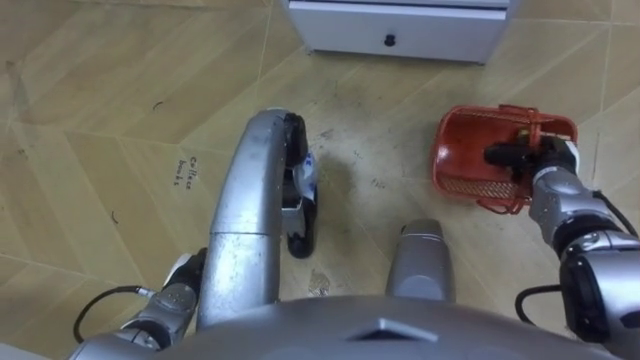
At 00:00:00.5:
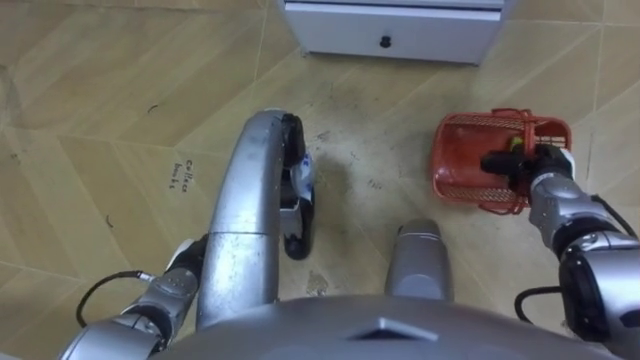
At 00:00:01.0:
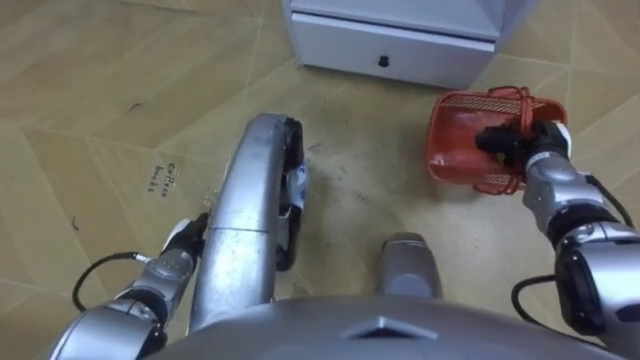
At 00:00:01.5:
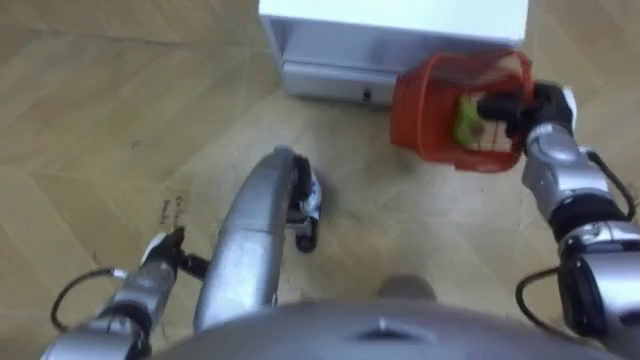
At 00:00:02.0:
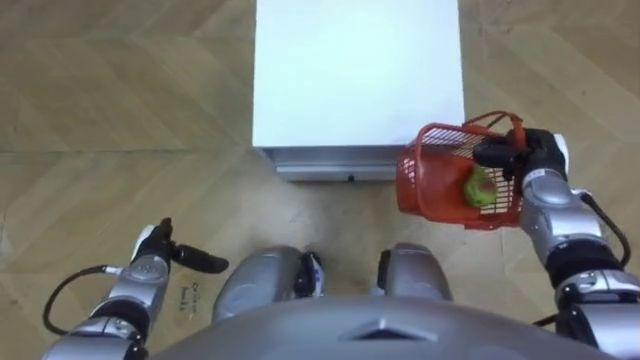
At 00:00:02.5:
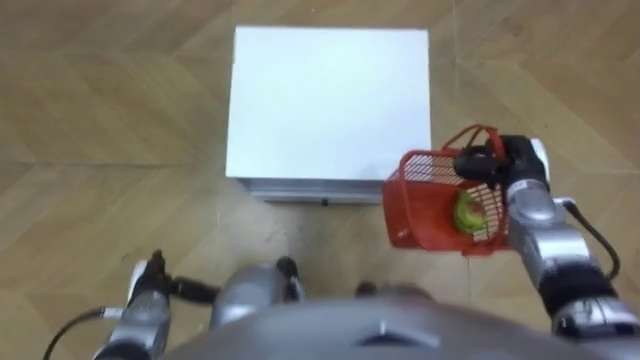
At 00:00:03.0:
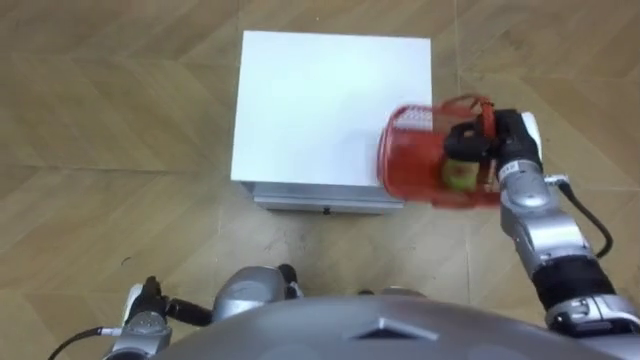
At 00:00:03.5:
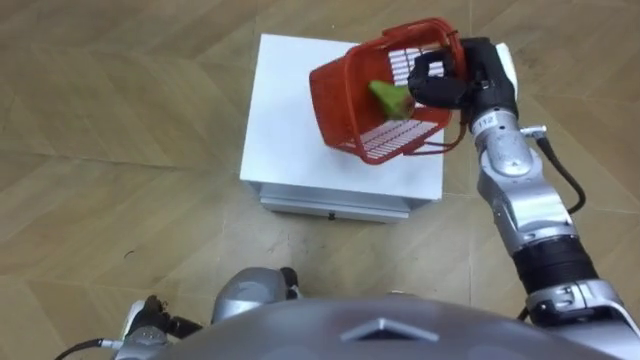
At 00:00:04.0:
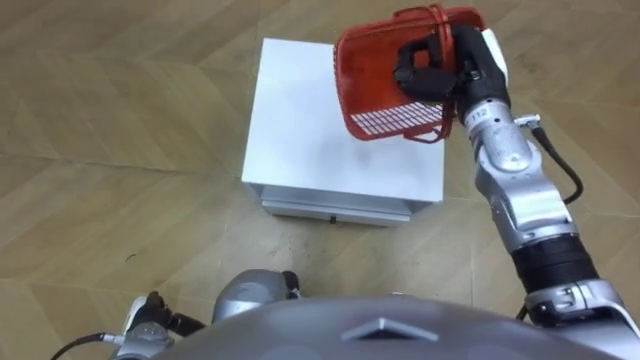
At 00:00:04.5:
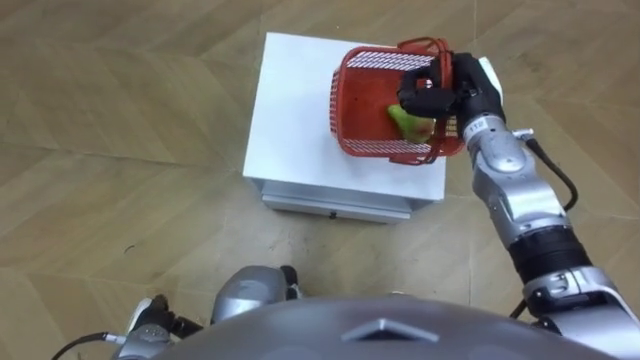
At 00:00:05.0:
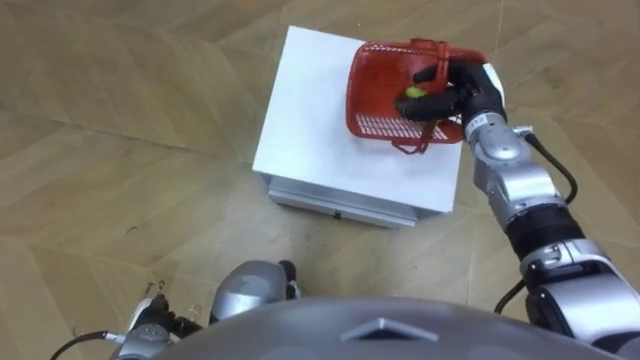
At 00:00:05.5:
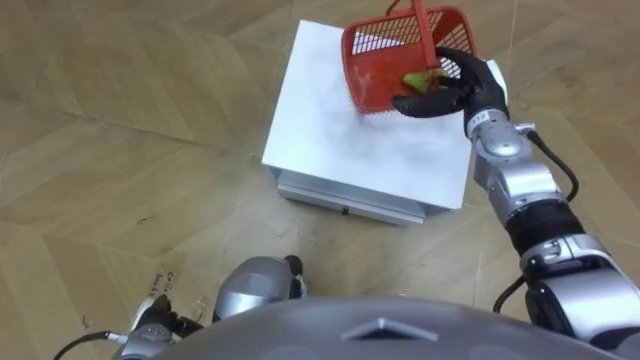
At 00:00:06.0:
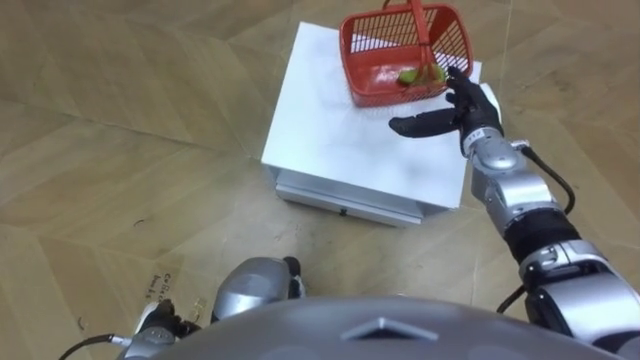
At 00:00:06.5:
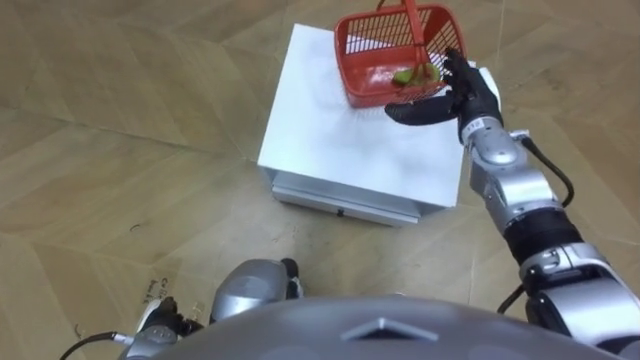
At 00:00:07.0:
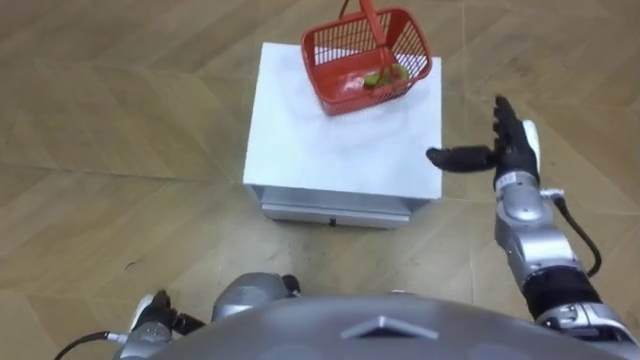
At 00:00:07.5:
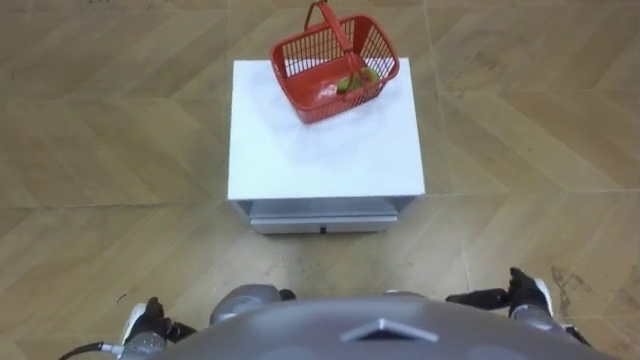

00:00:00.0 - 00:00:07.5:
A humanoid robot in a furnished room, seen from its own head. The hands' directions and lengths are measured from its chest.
Task of the whole recording: Pick up the fruit basket from the floor and place it on the cabinet.
00:00:00.0 - 00:00:02.0: The left hand changes place by some 5 cm.
00:00:02.0 - 00:00:04.0: The left hand travels backward by about 10 cm. The right hand heads to the left, upward and forward, covering some 20 cm.
00:00:04.0 - 00:00:05.5: The right hand shifts some 5 cm downward, and opens its fingers.
00:00:05.5 - 00:00:07.5: The right hand moves backward and downward, approximately 30 cm.

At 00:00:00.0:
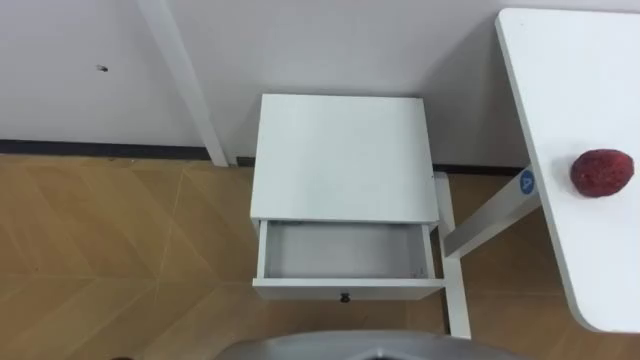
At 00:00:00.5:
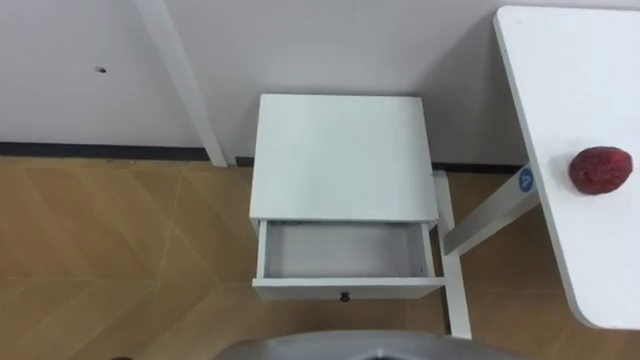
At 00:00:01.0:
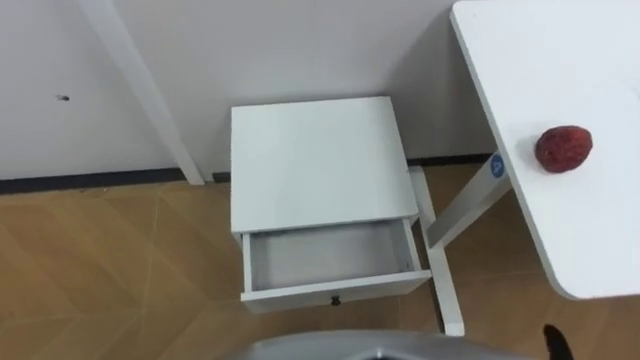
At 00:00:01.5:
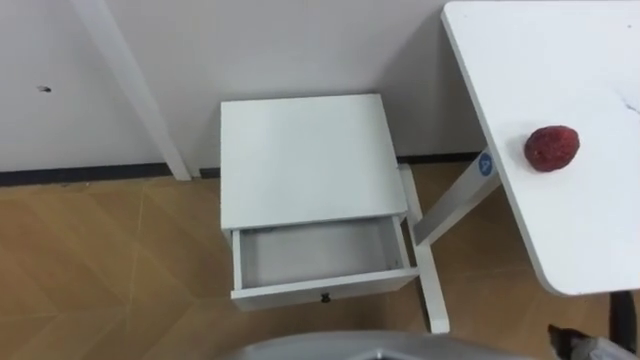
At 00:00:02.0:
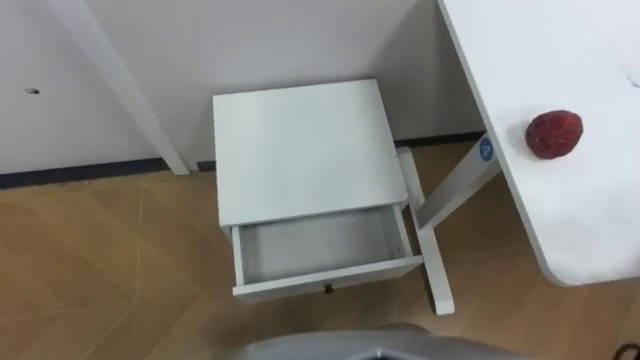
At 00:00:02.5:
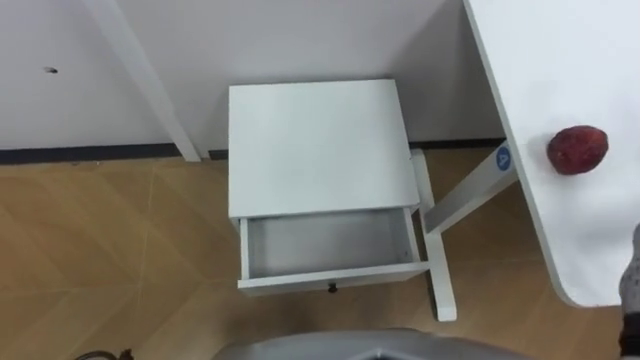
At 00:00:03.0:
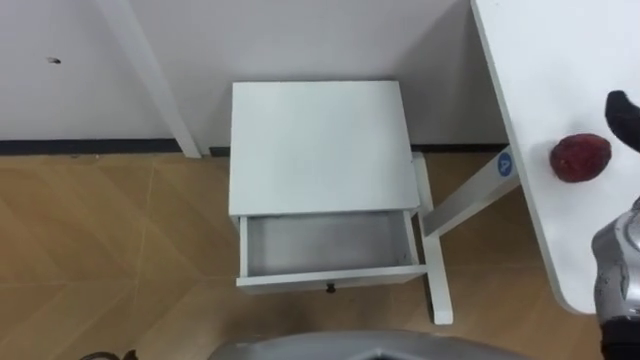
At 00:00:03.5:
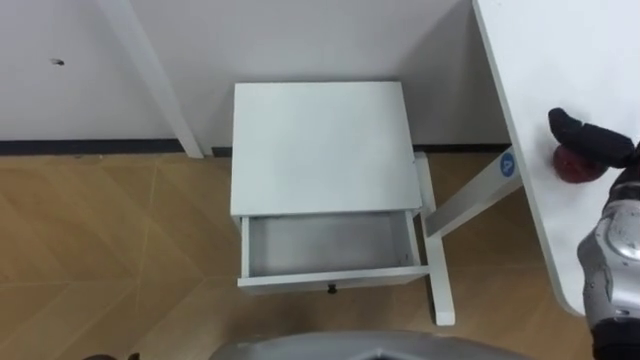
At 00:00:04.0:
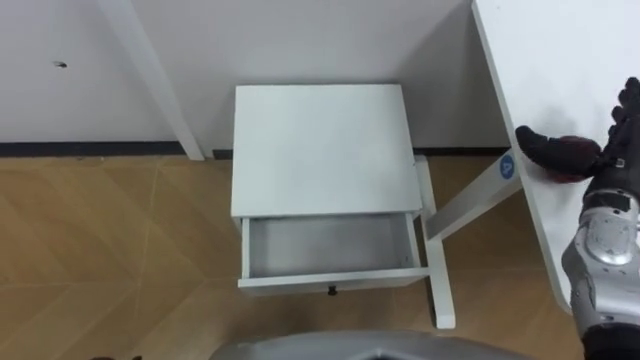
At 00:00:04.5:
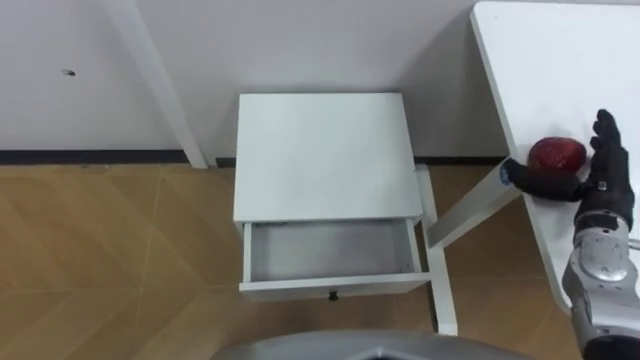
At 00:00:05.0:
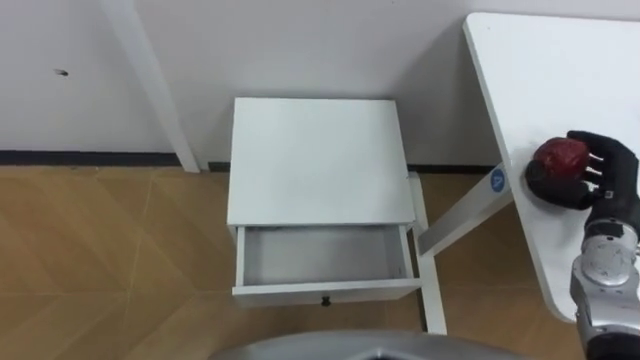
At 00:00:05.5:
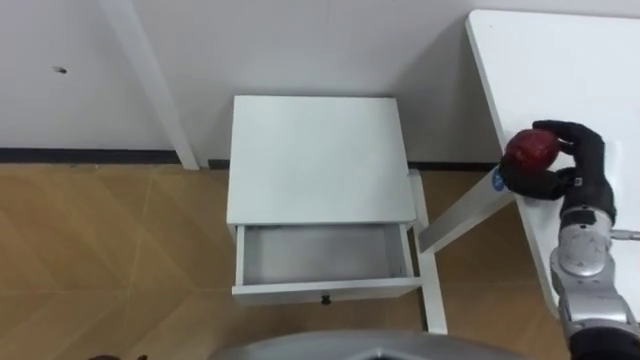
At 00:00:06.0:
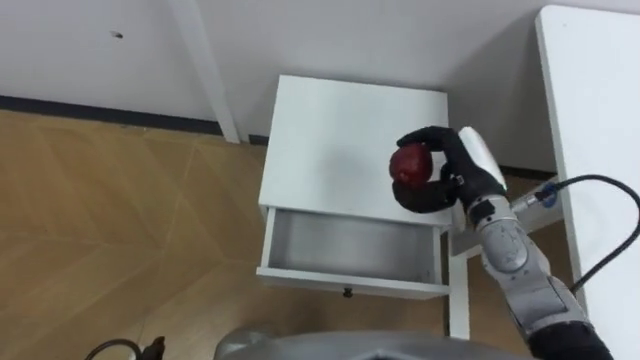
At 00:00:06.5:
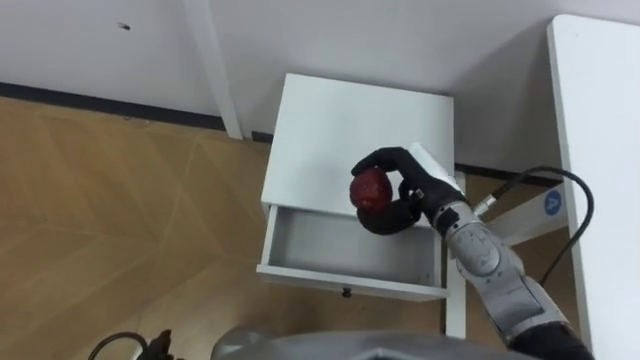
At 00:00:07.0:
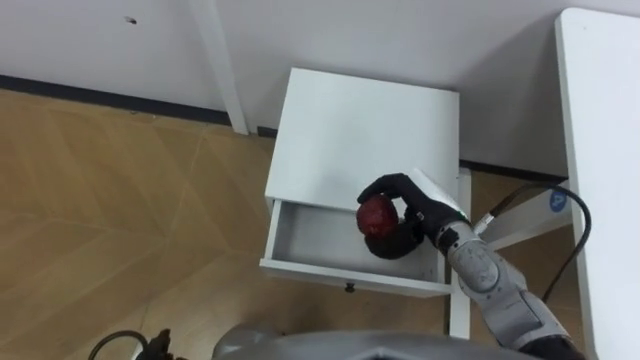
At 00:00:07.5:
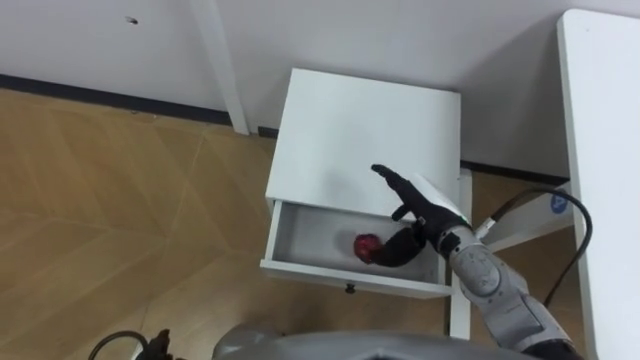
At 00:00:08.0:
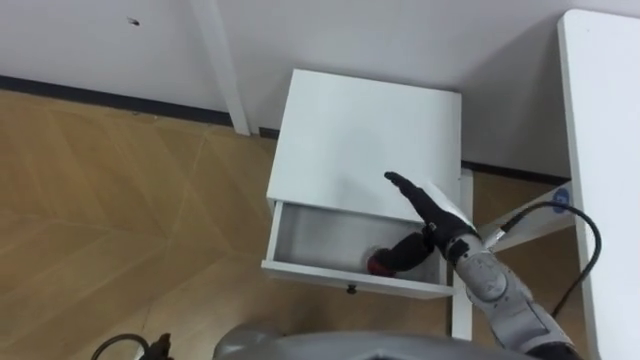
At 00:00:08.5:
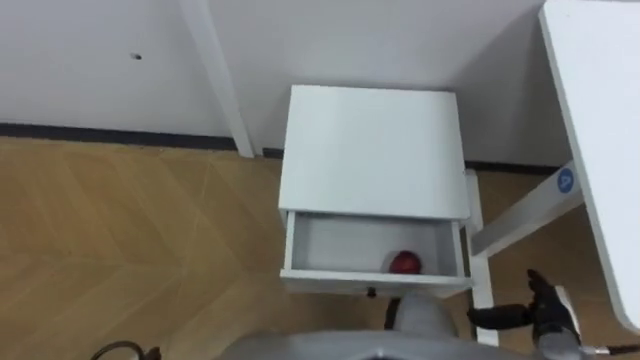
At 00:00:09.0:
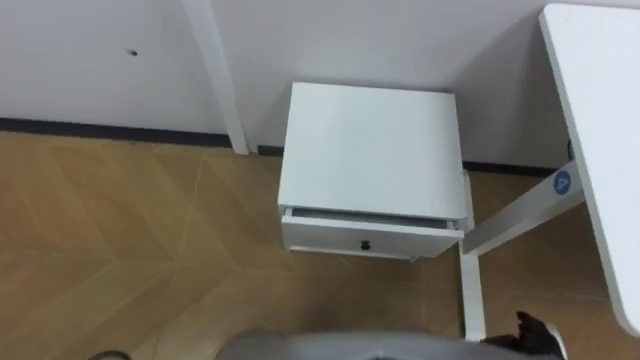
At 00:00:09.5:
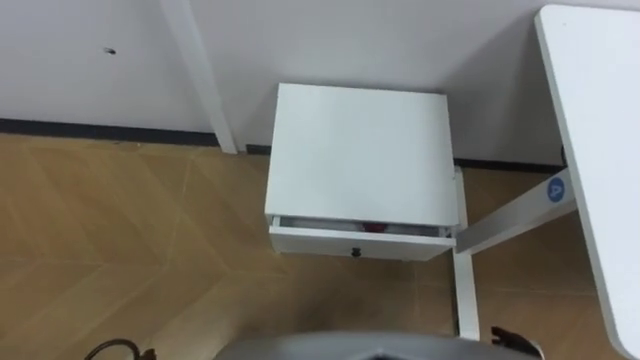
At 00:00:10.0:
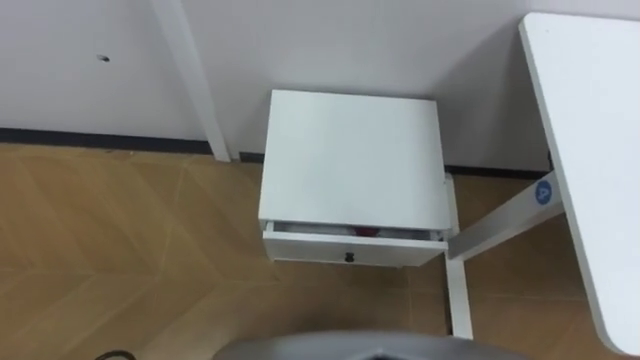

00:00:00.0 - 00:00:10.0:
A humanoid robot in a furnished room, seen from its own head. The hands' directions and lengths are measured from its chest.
Task of the whole recording: Pick up the apple from the table, put it in the drawer, and close the drawer with leg.
00:00:04.0 - 00:00:06.0: The right hand moves to the left, some 15 cm, and closes its fingers.
00:00:06.0 - 00:00:08.0: The right hand goes approximately 5 cm downward, and opens up.

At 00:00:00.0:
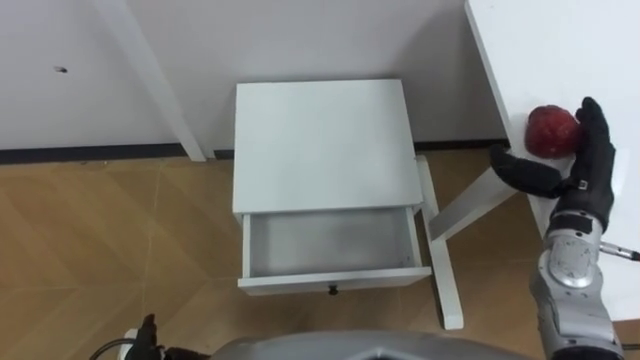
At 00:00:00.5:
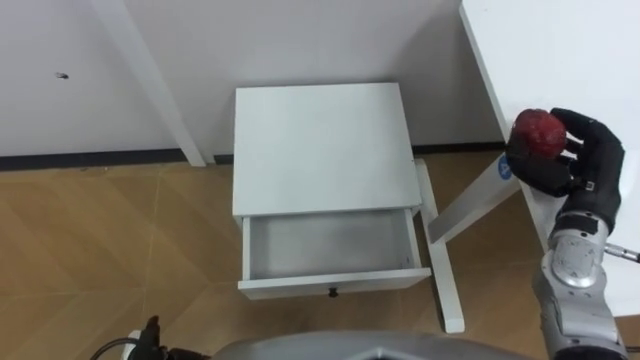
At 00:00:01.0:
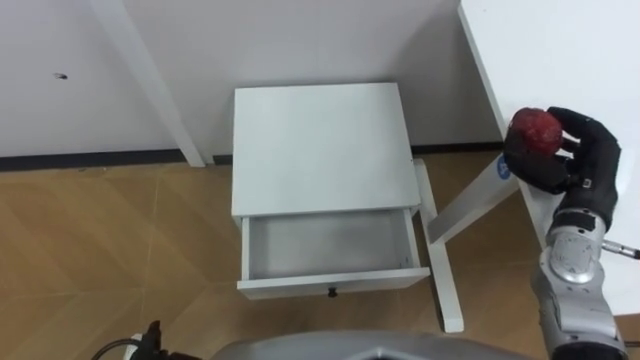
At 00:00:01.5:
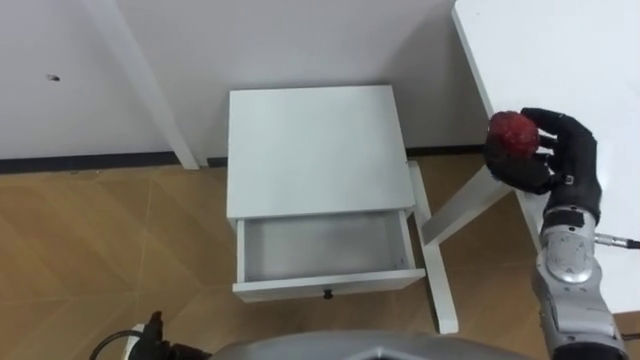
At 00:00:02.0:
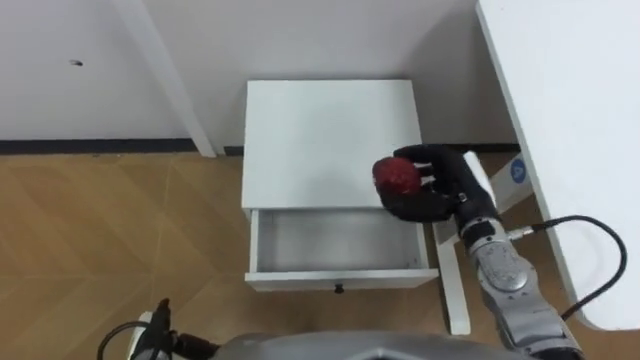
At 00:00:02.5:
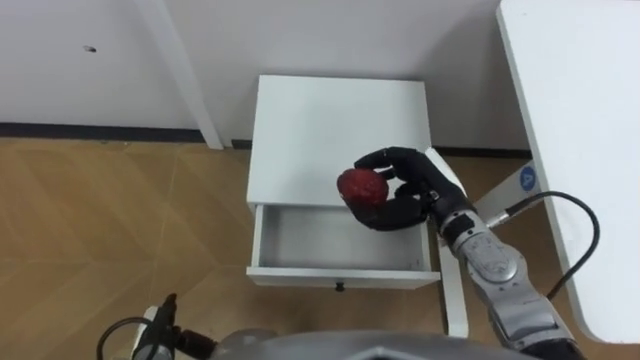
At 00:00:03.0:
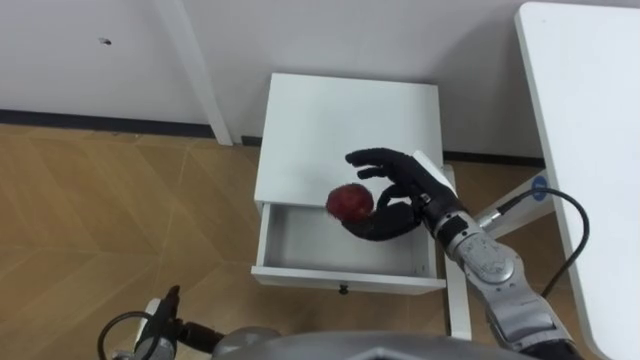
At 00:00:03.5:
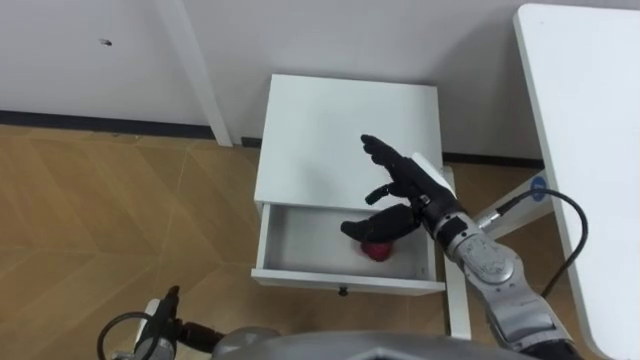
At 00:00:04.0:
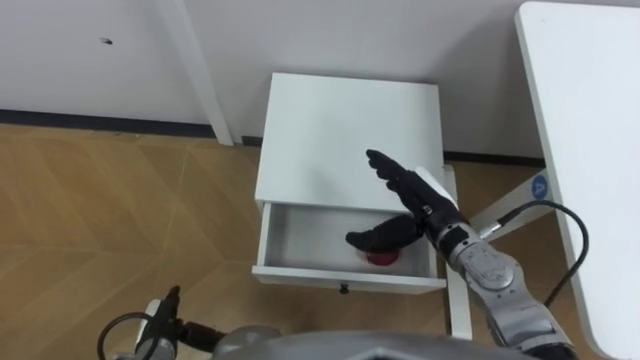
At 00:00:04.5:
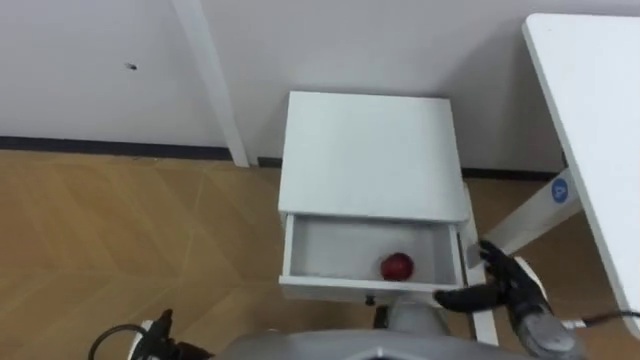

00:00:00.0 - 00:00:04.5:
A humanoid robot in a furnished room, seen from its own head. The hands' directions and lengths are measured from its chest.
Task of the whole recording: Pick up the apple from the table, put it in the drawer, and close the drawer with leg.
00:00:00.0 - 00:00:02.0: The right hand travels to the left by roughly 10 cm, and closes its fingers.
00:00:02.0 - 00:00:04.5: The right hand is displaced downward, backward and to the right by roughly 15 cm, and opens up.
